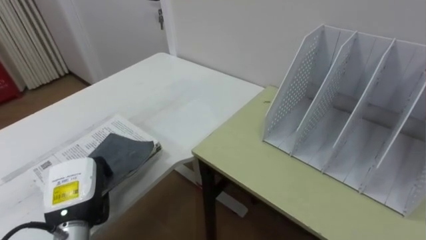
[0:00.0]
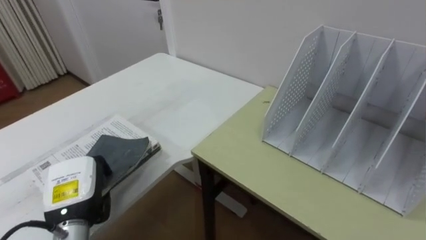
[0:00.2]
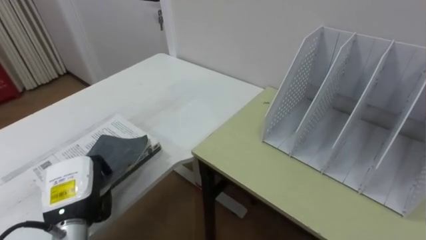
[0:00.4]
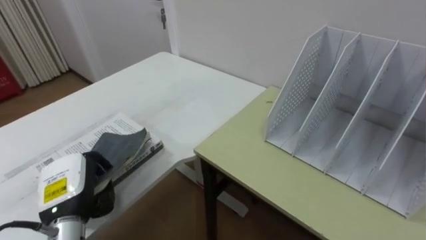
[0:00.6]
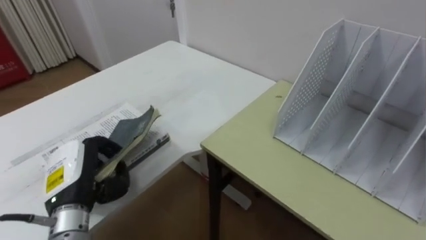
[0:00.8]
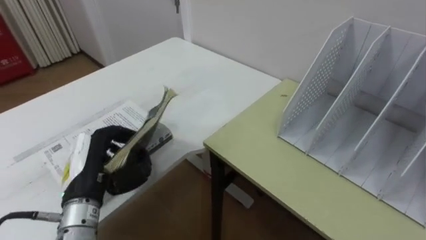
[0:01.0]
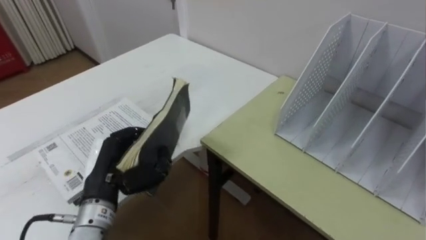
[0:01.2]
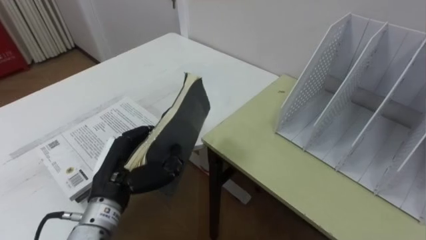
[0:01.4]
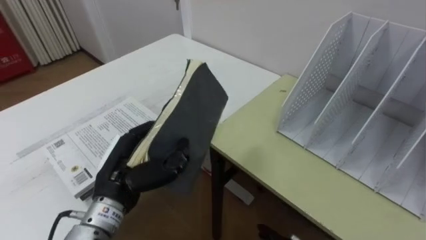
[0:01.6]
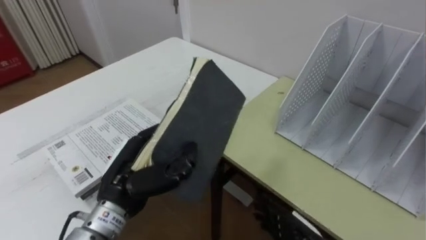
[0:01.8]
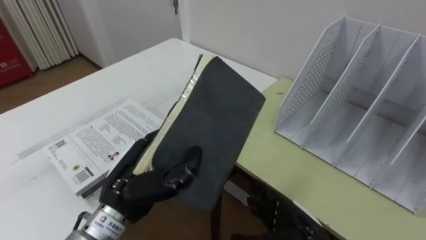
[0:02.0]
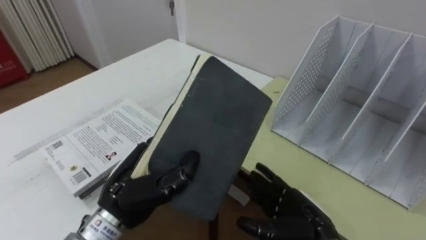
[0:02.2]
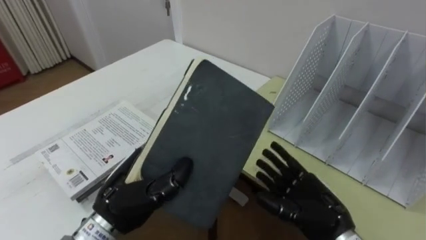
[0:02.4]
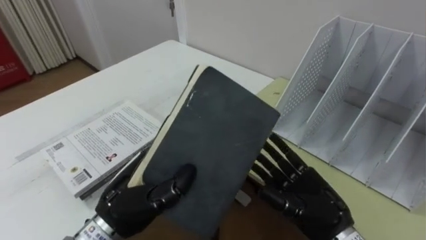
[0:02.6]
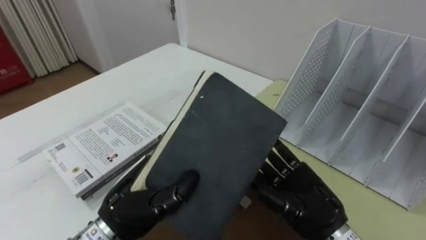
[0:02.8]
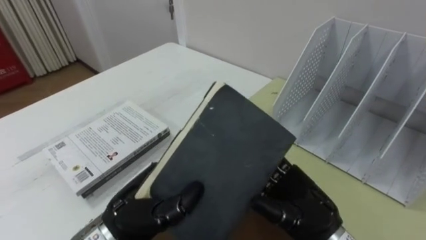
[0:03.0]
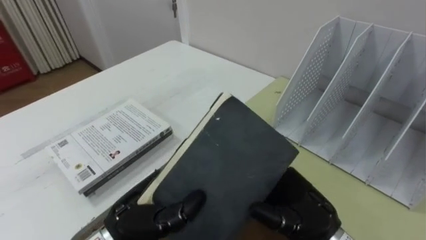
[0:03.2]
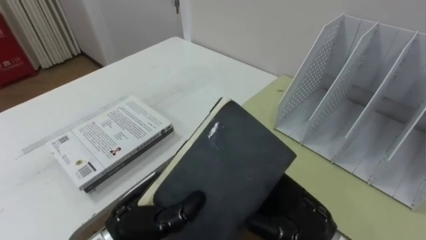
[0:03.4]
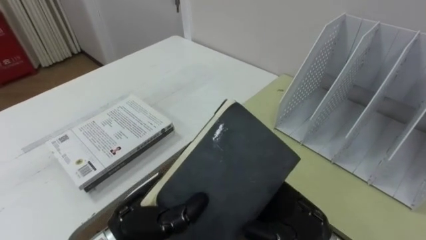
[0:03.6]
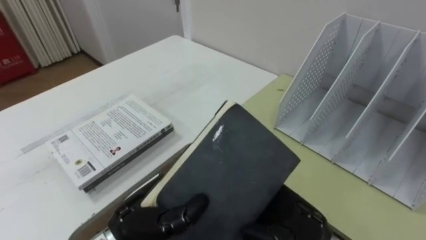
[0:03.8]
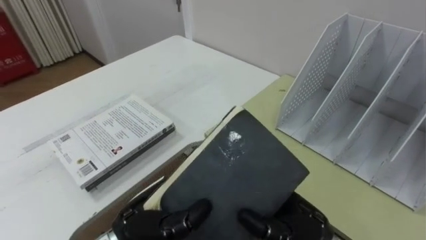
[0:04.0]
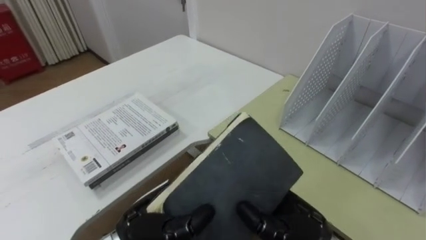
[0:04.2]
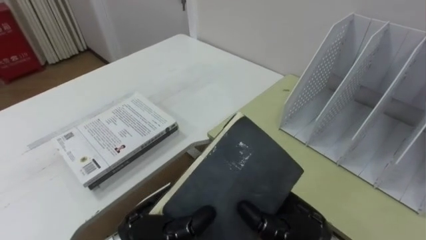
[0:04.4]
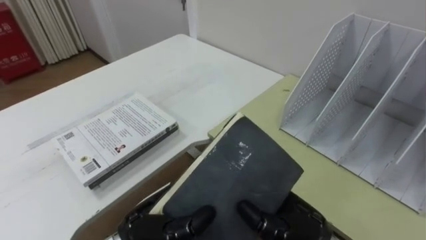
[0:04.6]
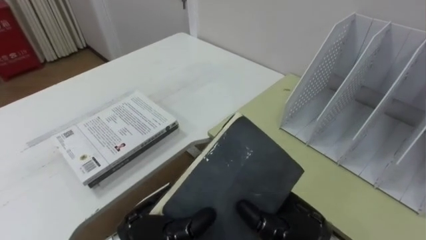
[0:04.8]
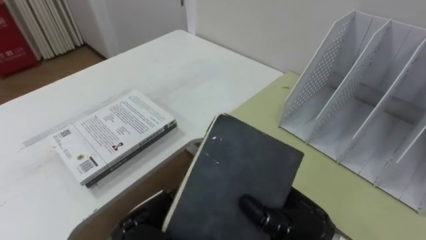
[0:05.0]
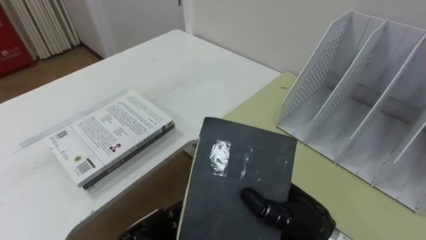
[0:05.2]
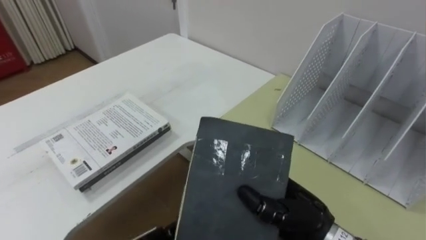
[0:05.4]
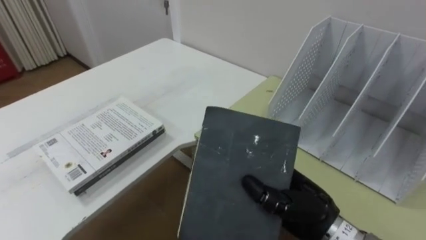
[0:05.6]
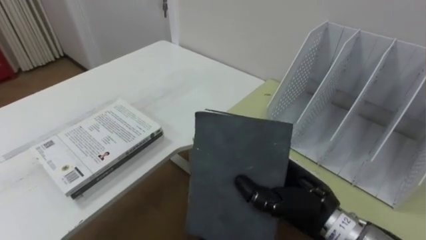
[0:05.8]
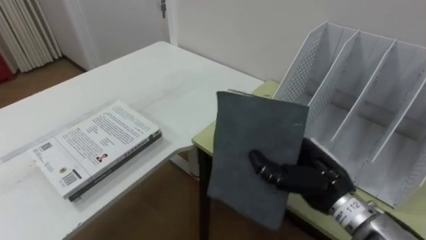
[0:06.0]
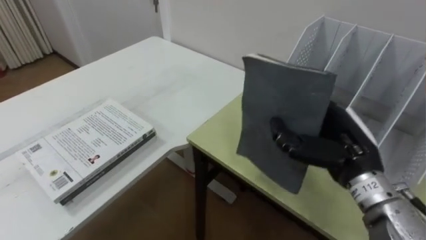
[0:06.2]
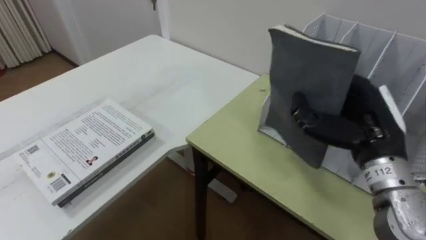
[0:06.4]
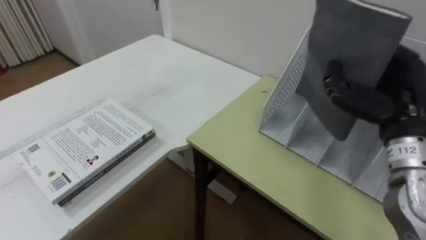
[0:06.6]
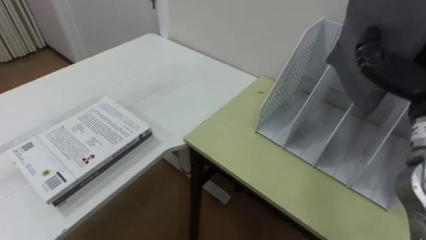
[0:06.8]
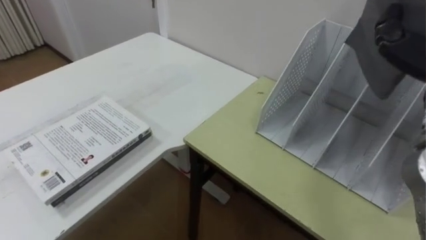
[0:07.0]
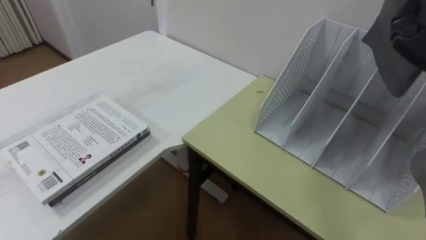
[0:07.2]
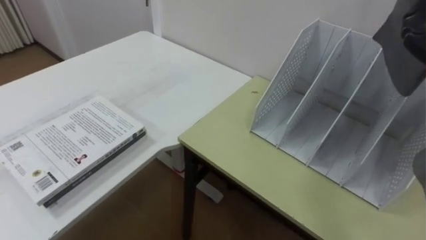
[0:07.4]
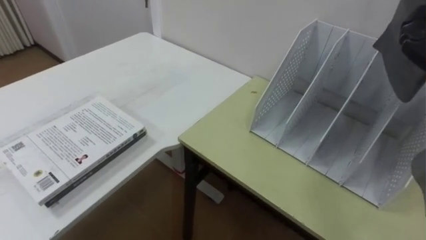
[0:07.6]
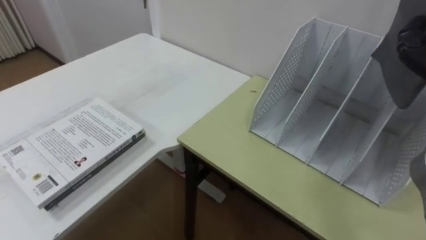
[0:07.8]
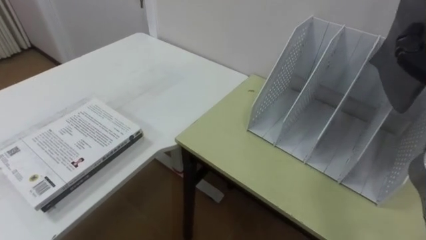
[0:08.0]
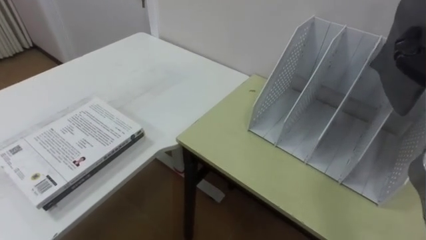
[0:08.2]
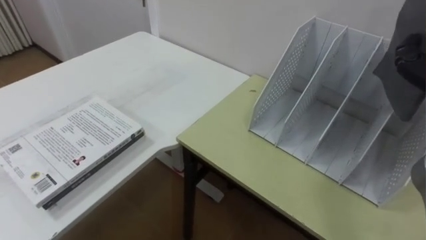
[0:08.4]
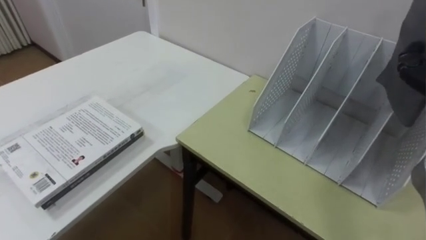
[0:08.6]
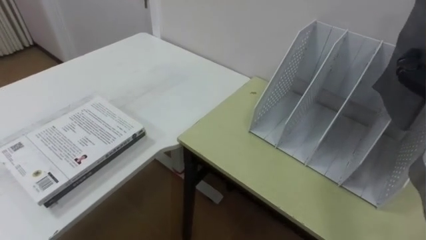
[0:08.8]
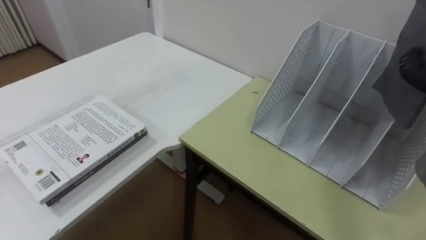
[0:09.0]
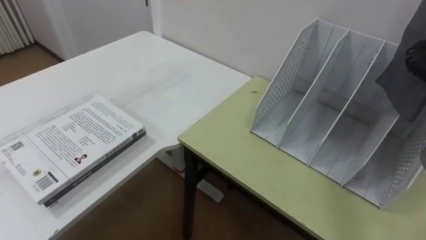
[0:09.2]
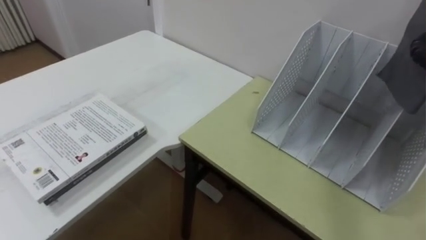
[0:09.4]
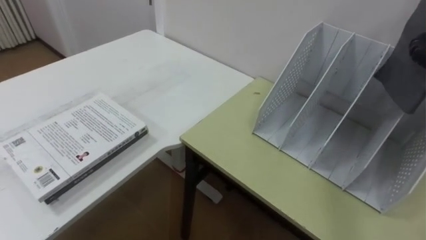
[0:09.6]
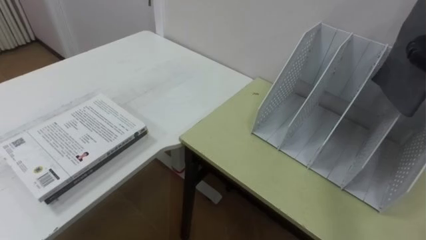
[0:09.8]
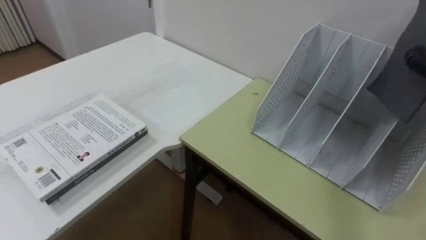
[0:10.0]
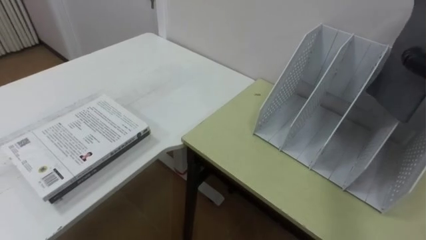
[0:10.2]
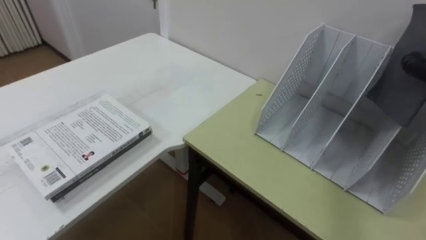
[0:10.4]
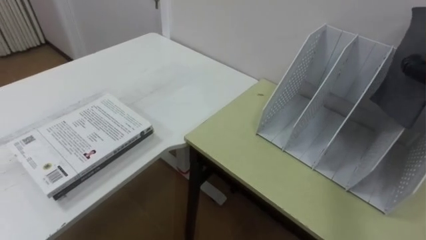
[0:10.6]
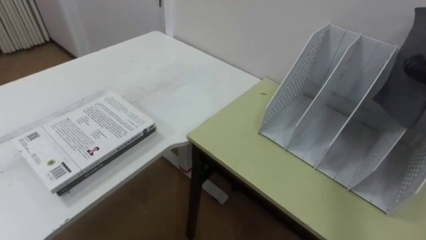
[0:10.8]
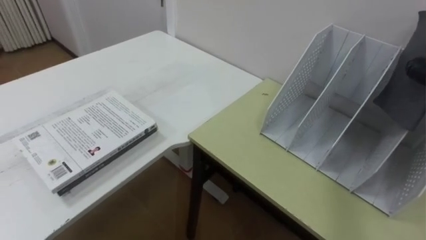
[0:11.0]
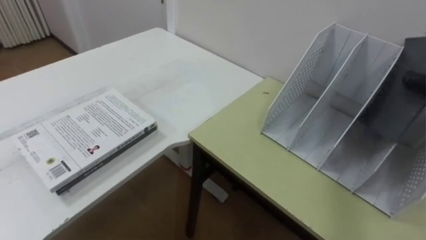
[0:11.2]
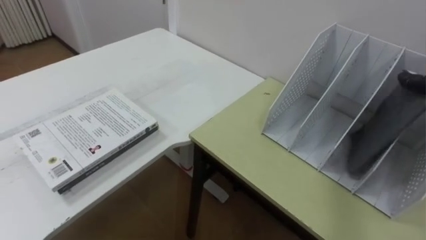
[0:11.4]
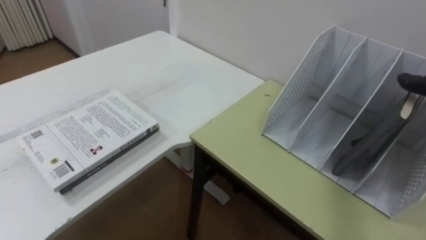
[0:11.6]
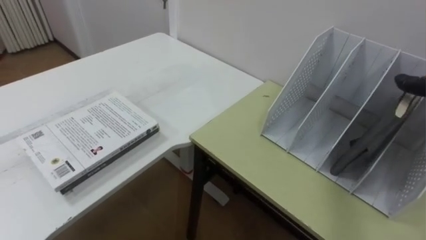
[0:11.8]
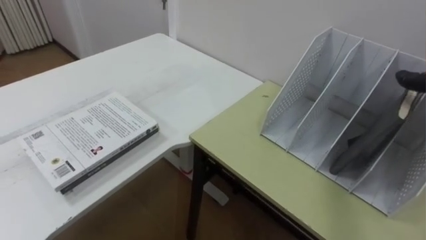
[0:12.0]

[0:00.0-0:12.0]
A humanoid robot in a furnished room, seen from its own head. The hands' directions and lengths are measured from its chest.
Task of the whole recording: Put the books on the table onto the bookshelf.
0:00.0 to 0:01.6: The left hand travels to the right and upward by about 10 cm.
0:01.6 to 0:03.0: The left hand changes place by approximately 5 cm.
0:03.0 to 0:04.4: The right hand closes.
0:04.4 to 0:06.0: The right hand shifts some 5 cm forward.

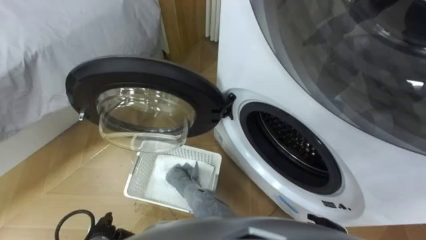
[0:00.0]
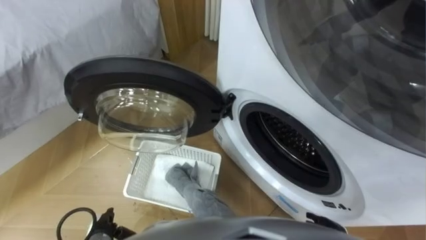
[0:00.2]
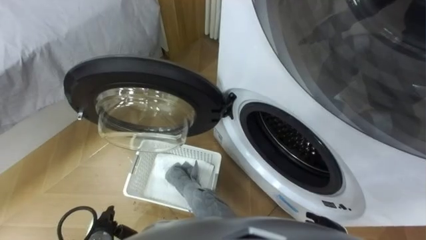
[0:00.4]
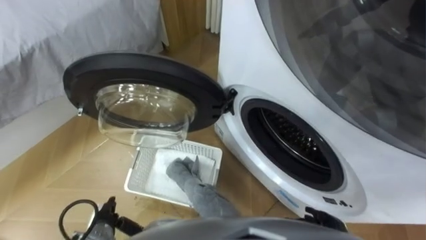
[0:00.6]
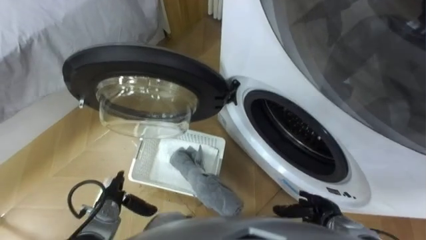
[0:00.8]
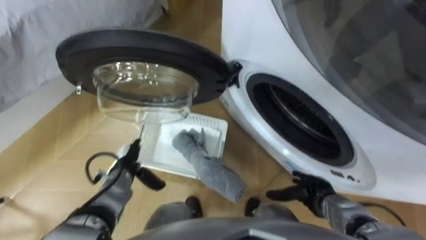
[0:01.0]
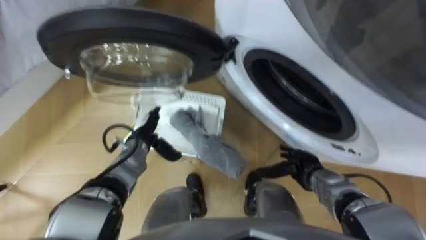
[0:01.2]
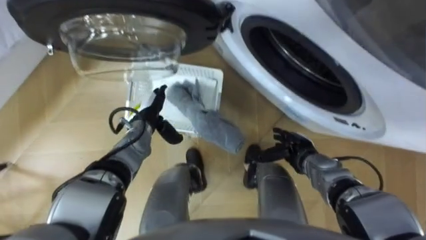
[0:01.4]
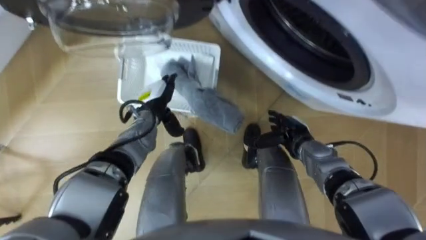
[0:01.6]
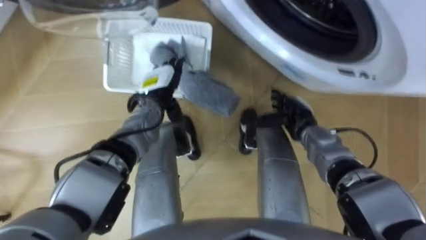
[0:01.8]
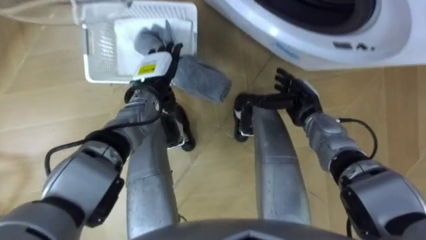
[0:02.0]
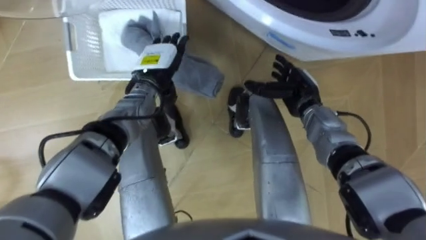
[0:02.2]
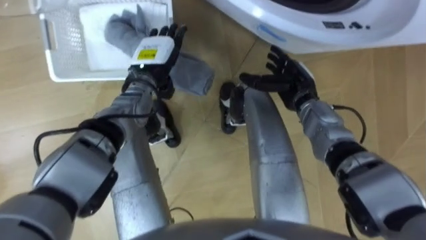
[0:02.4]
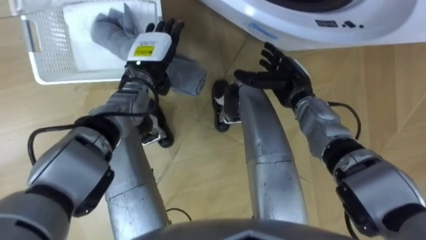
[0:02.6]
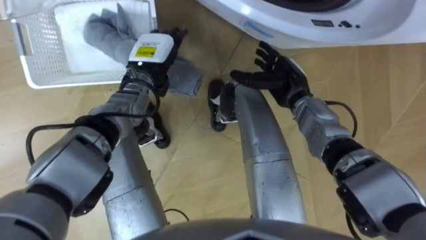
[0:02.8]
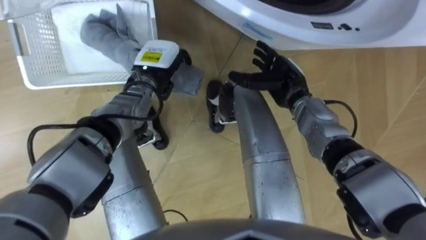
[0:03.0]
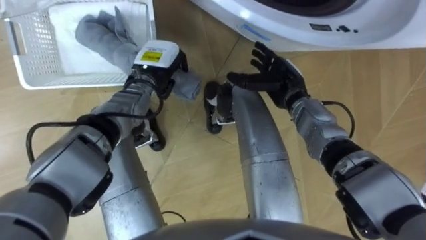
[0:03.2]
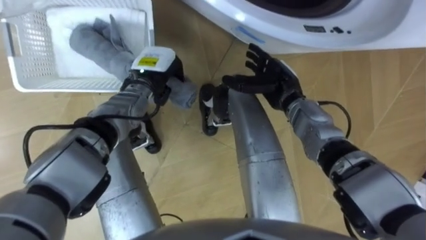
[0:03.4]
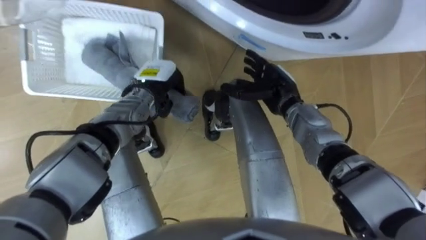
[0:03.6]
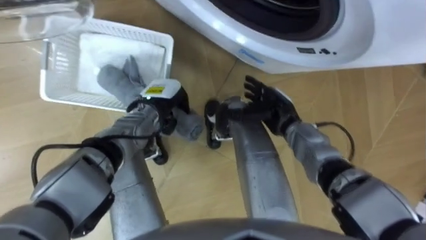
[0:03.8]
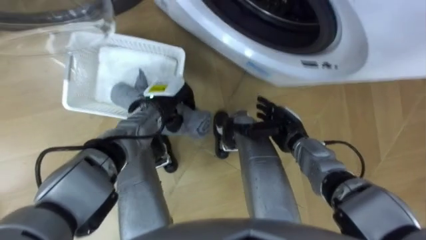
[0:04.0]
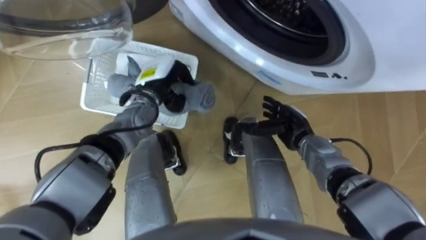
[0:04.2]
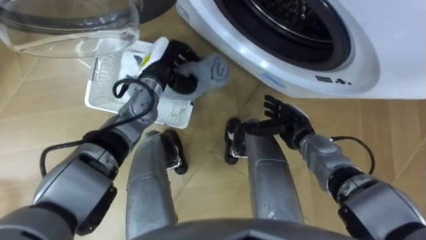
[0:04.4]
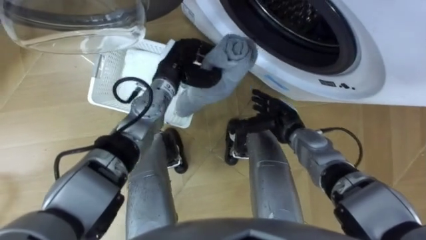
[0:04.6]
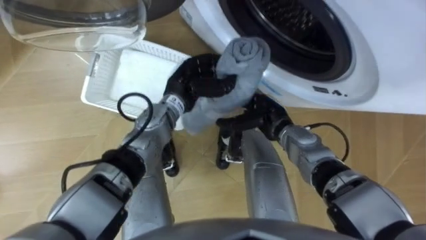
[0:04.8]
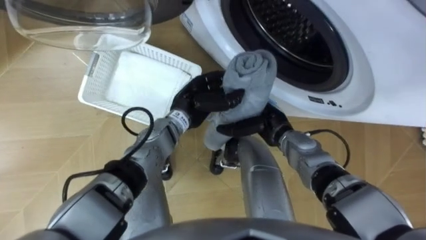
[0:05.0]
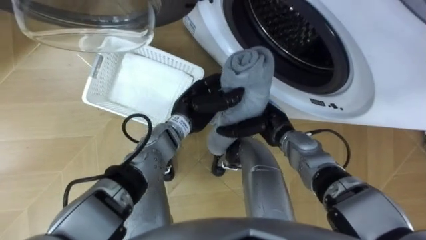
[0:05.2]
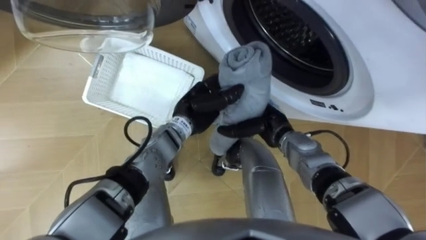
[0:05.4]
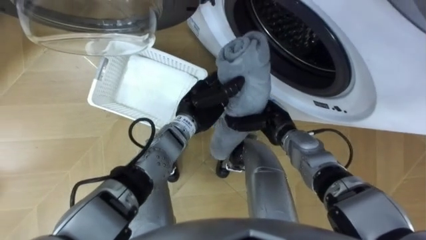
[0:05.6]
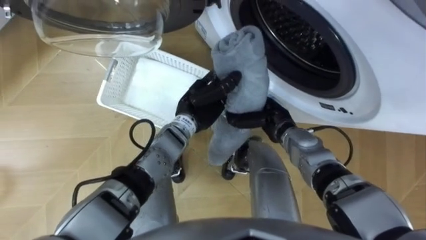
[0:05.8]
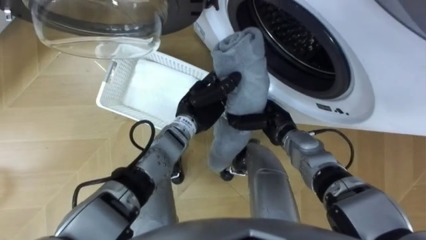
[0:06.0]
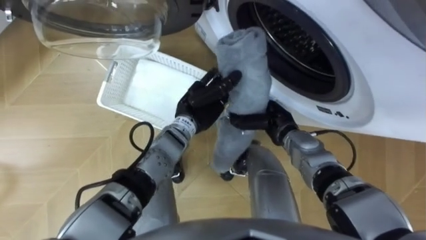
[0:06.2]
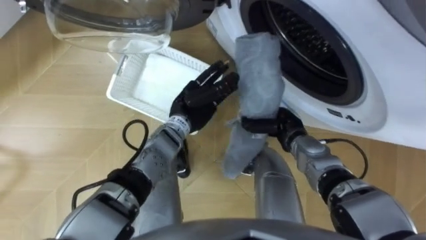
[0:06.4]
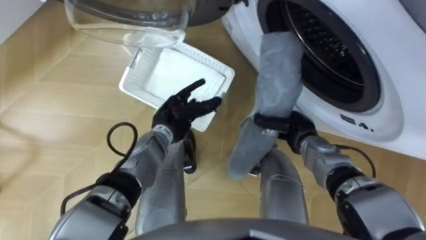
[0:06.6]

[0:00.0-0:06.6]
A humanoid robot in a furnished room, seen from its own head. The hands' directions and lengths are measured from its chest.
Task of the whole recording: Take the towel from the basket and put it into the washing machine.
0:01.6 to 0:03.2: The two hands go approximately 10 cm upward and forward. The left hand closes.
0:03.2 to 0:05.0: The left hand heads to the right and backward, covering some 10 cm. Meanwhile the right hand shifts roughly 10 cm backward and downward.
0:05.0 to 0:06.6: The left hand shifts by some 5 cm, and opens up, while the right hand shifts roughly 5 cm to the right, and closes its fingers.
